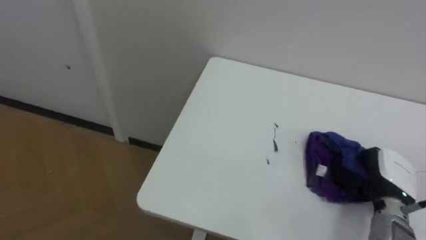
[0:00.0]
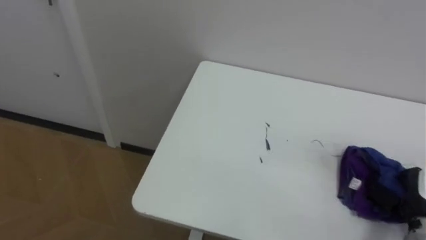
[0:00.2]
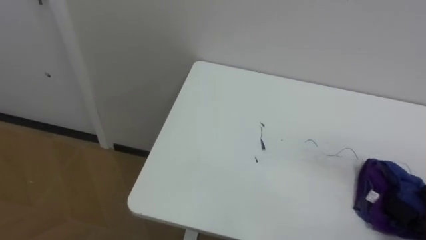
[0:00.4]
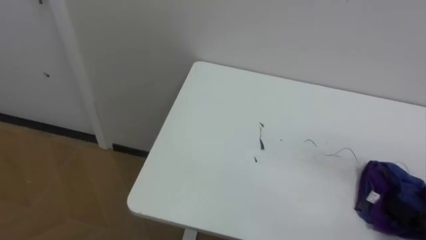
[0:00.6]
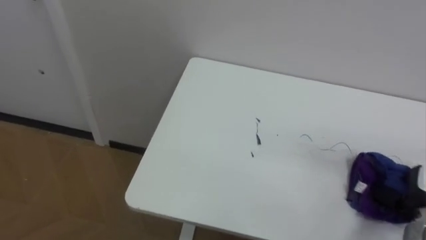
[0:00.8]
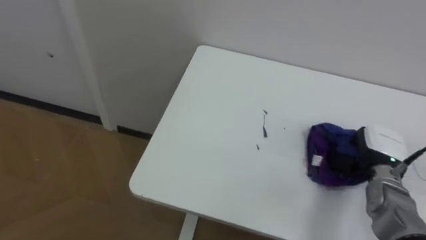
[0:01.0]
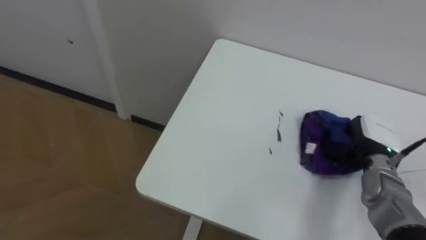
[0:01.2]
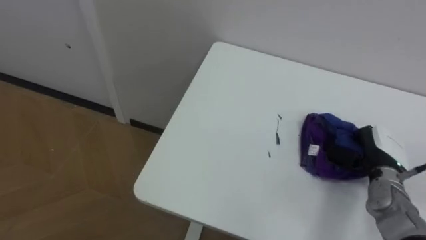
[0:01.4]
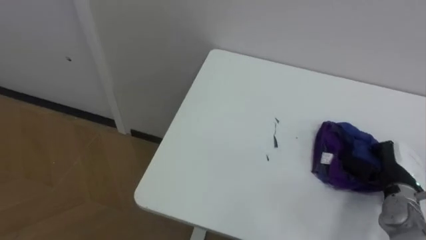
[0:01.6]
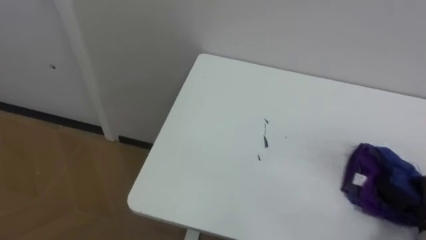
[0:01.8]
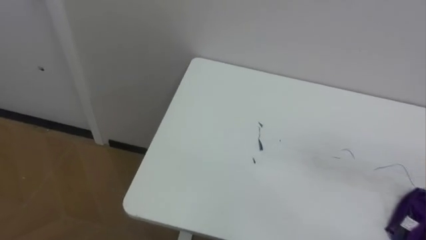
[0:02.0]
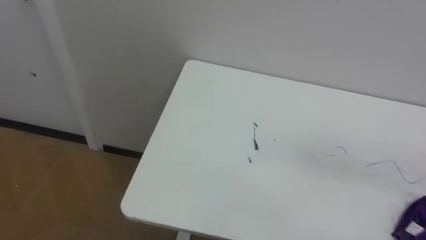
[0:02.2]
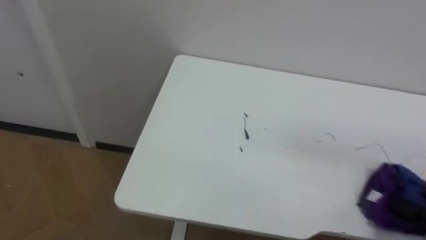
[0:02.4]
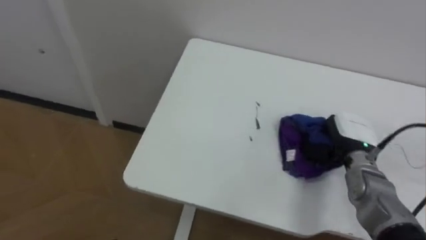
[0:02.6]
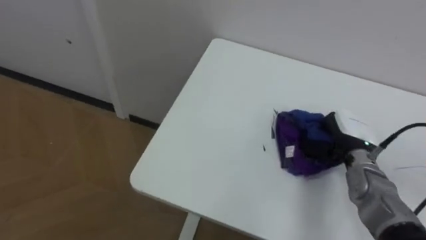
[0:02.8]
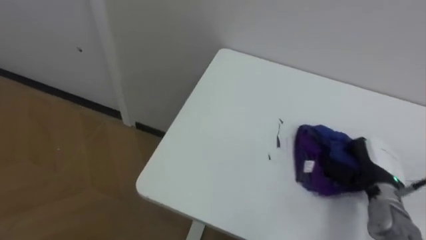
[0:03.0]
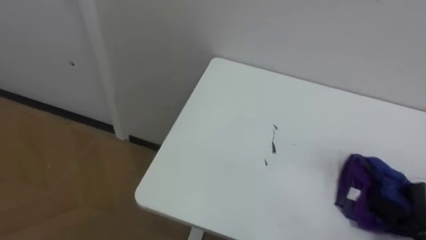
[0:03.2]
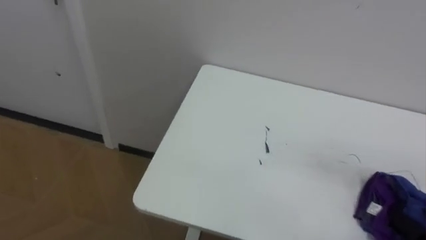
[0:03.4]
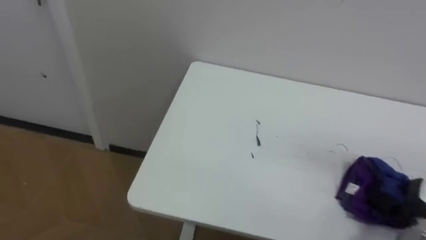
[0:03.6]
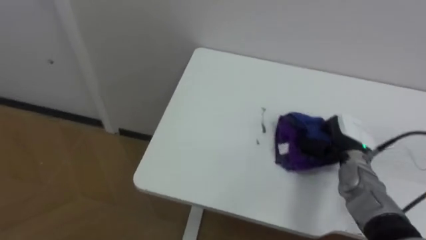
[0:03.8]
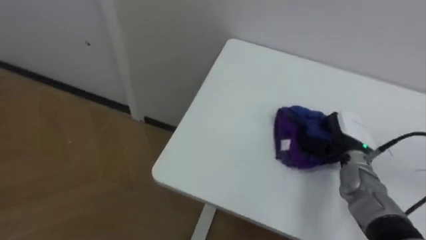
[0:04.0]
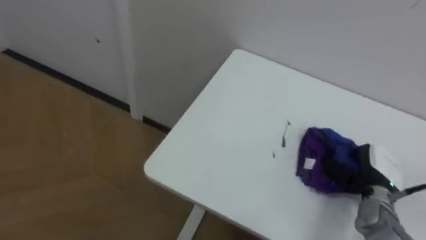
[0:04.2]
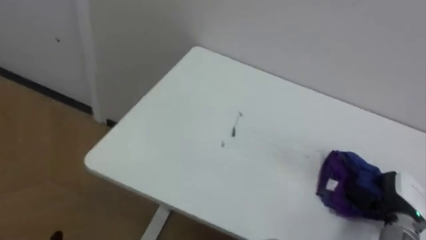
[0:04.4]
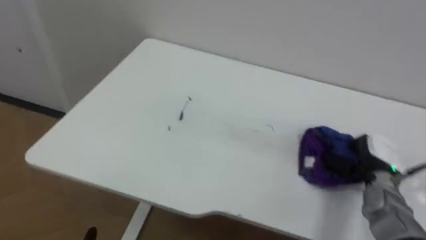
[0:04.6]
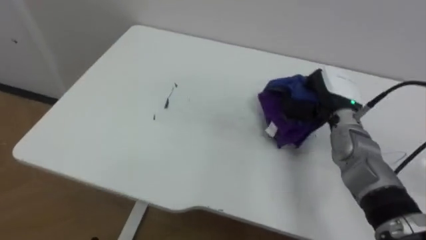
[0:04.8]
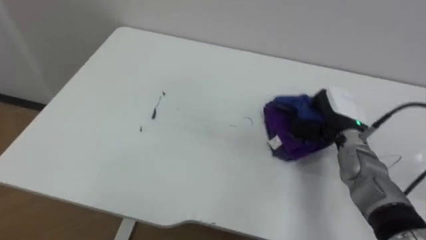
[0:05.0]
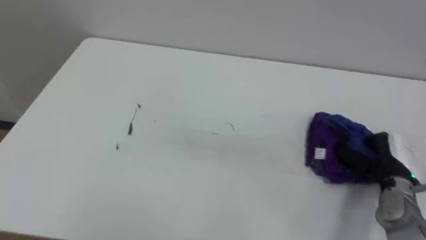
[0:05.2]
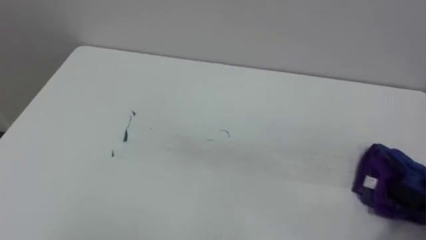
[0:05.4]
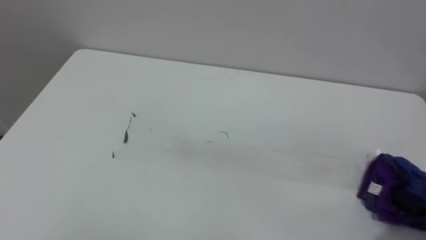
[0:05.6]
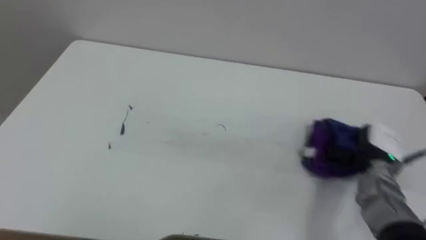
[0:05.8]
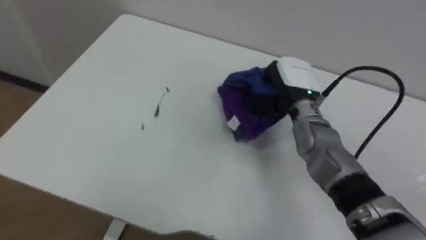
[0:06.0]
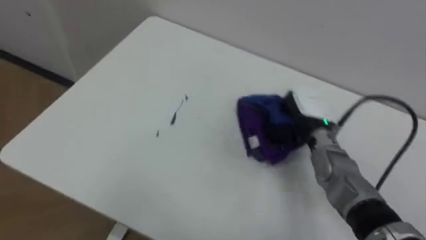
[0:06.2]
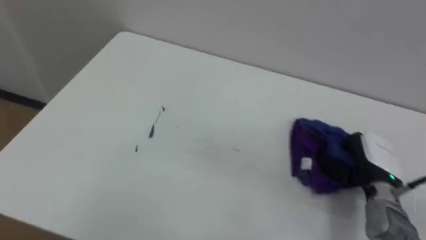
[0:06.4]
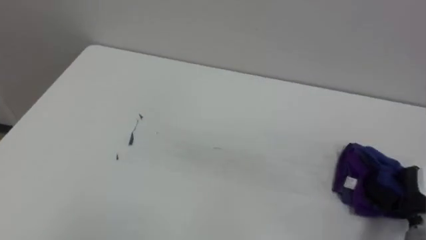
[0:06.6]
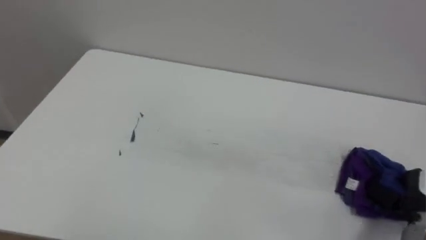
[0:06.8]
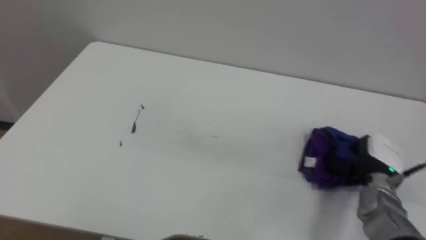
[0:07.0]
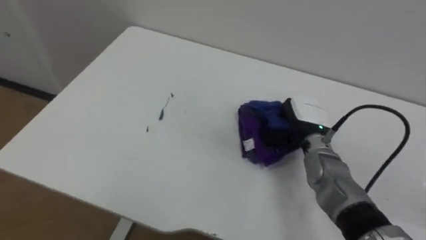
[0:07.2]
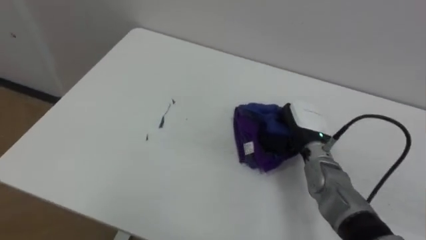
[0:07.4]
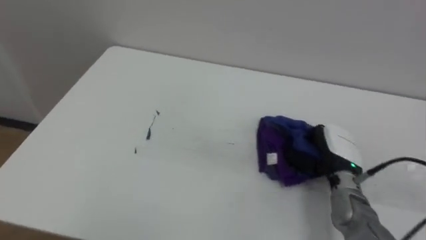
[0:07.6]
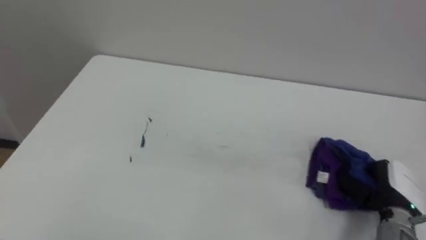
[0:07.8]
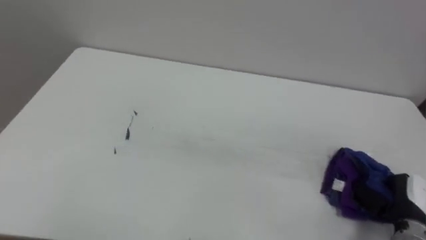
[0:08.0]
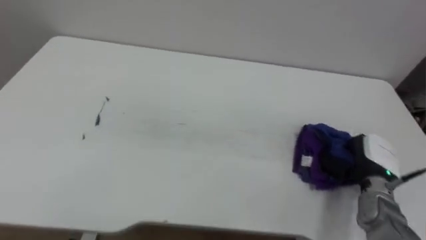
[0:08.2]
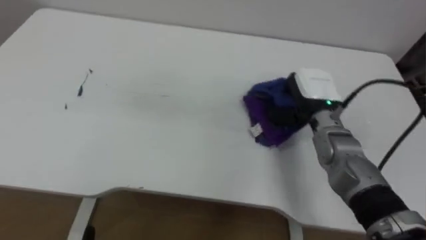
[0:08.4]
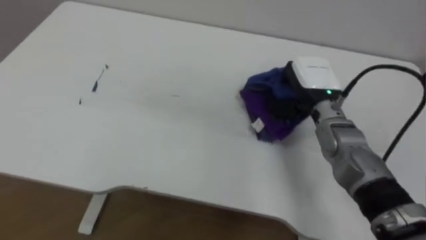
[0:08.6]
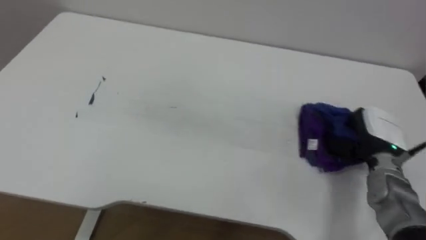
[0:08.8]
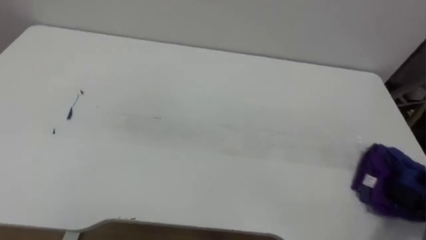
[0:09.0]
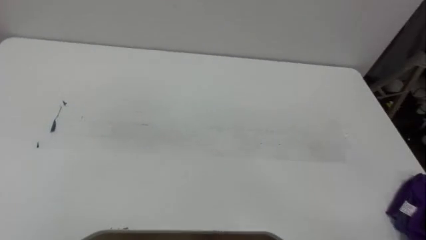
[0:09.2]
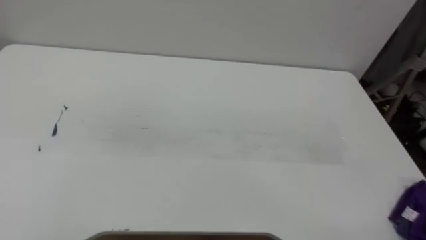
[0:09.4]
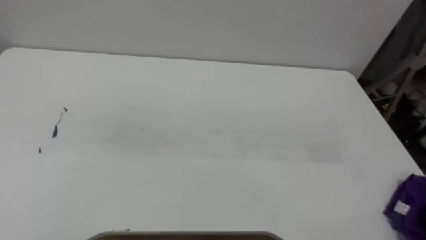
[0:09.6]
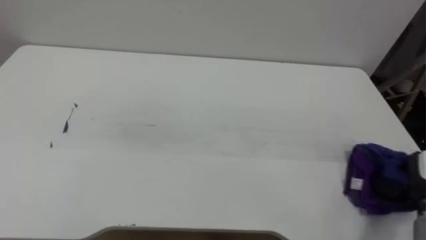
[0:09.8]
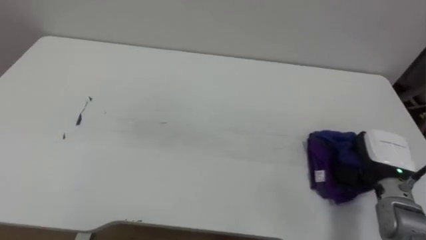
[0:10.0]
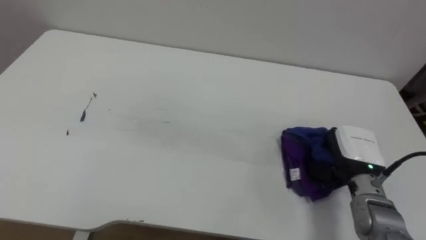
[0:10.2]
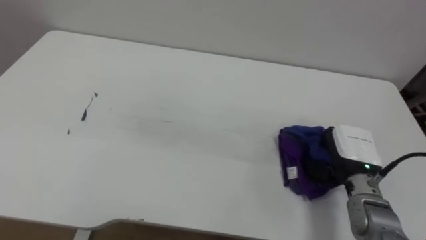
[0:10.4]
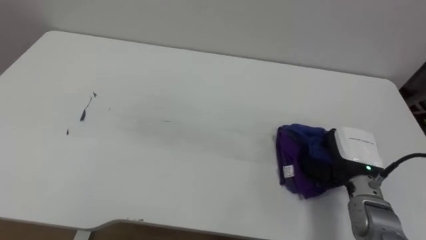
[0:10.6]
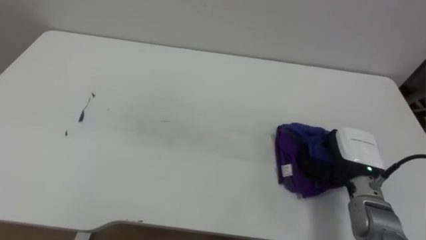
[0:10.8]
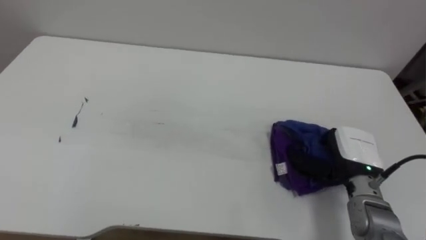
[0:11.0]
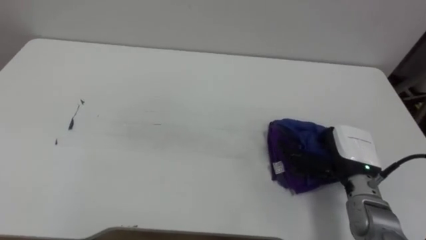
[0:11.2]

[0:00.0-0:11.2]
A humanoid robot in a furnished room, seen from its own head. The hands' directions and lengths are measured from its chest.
Task of the whole recording: Wipe the blue pen marks off the table with the rag.
0:06.4 to 0:08.0: The right hand goes left and right, roughly 20 cm each way, reversing 2 times.

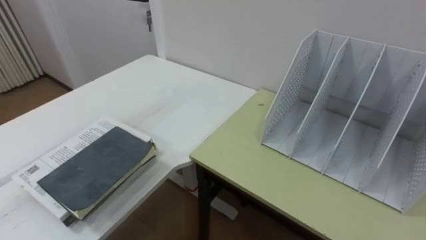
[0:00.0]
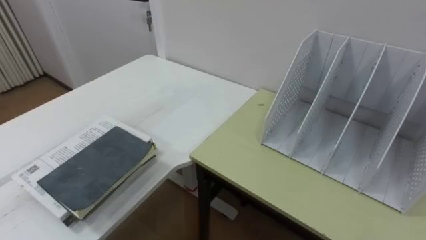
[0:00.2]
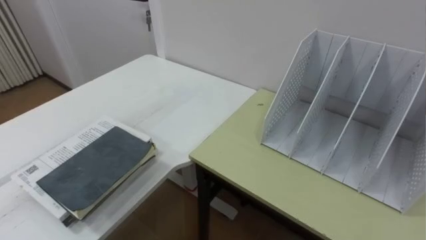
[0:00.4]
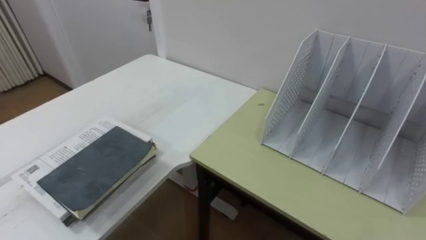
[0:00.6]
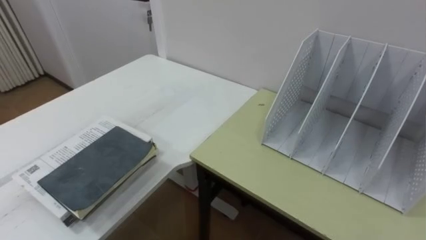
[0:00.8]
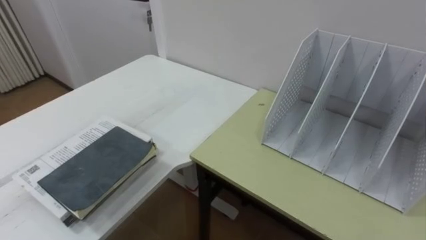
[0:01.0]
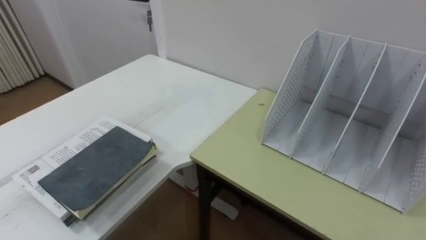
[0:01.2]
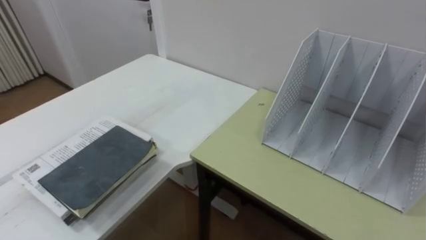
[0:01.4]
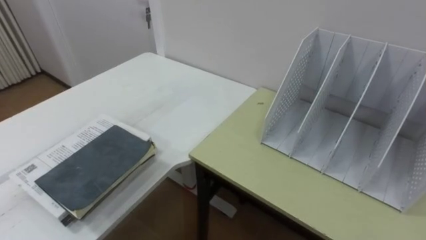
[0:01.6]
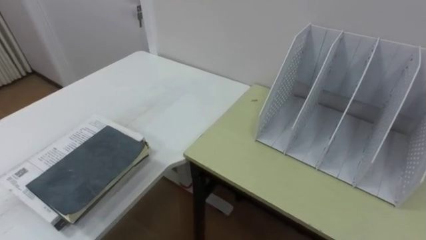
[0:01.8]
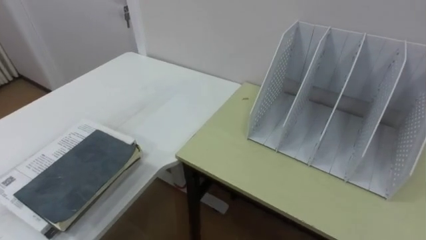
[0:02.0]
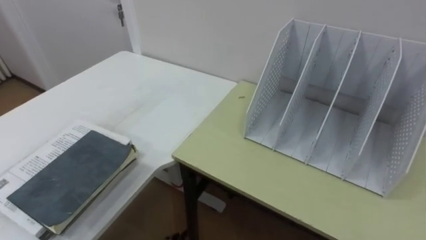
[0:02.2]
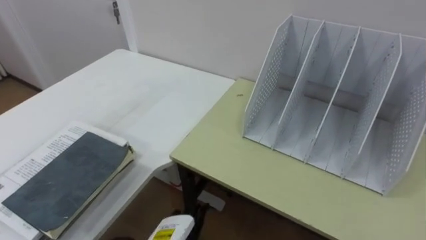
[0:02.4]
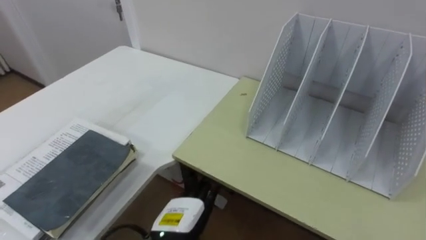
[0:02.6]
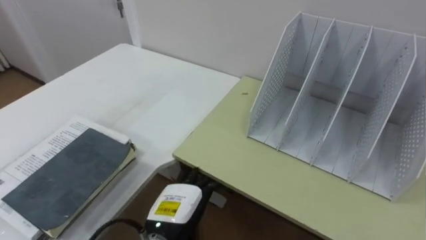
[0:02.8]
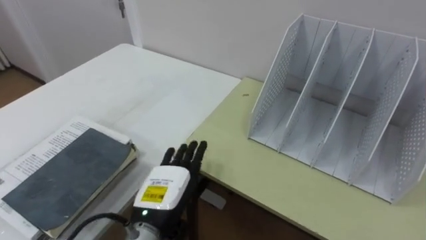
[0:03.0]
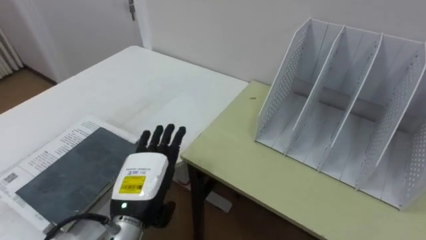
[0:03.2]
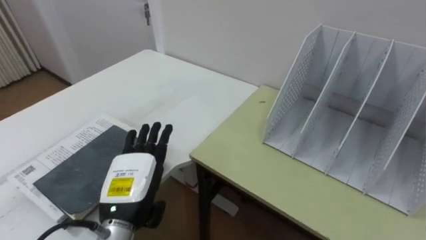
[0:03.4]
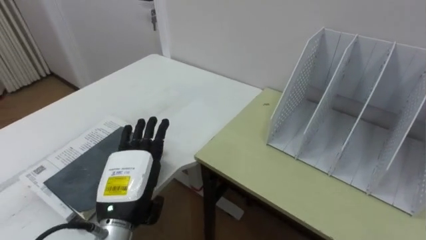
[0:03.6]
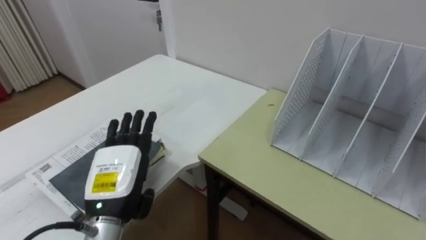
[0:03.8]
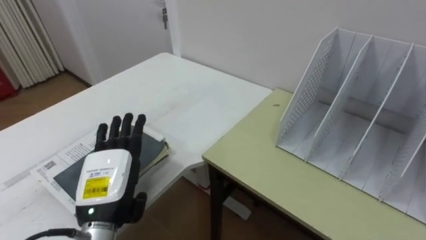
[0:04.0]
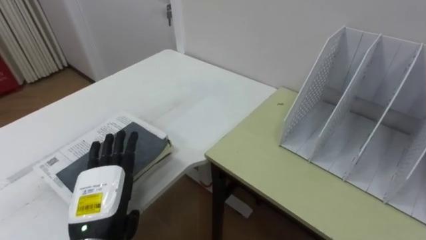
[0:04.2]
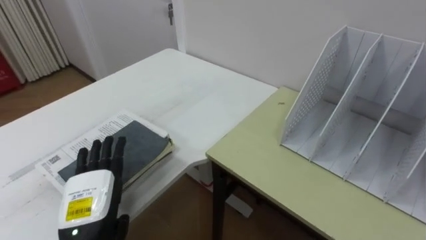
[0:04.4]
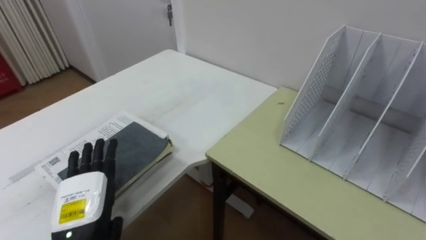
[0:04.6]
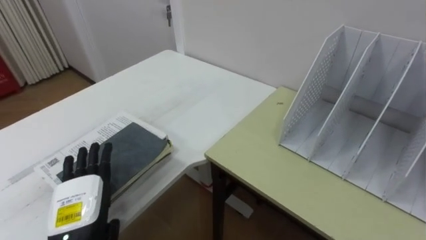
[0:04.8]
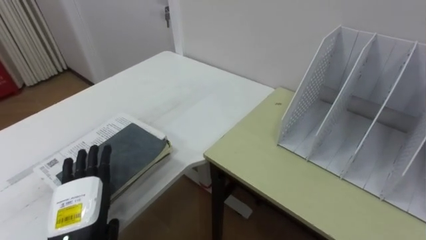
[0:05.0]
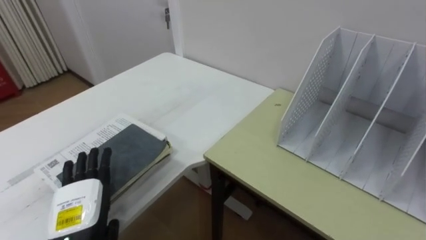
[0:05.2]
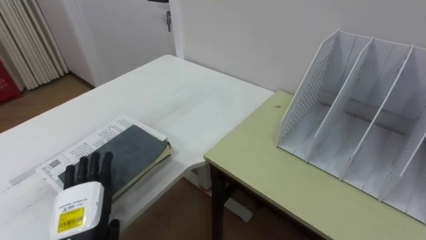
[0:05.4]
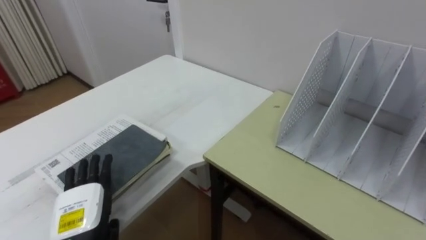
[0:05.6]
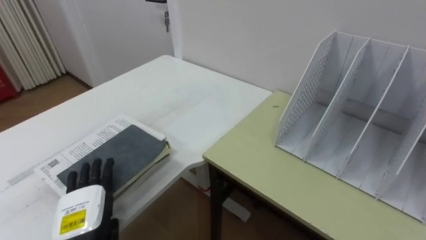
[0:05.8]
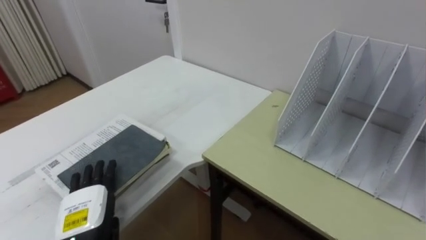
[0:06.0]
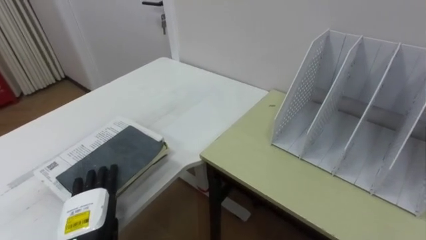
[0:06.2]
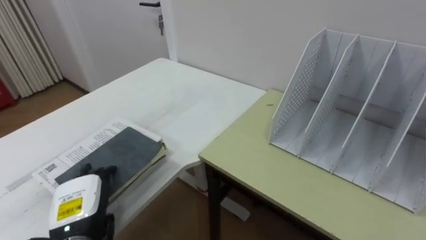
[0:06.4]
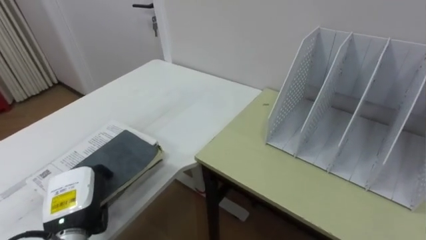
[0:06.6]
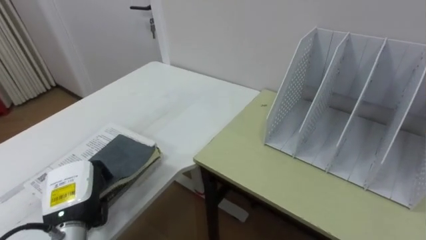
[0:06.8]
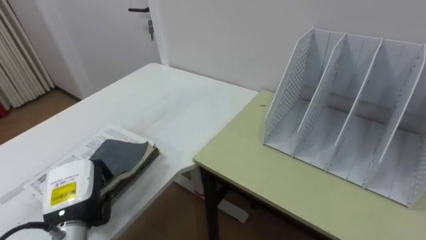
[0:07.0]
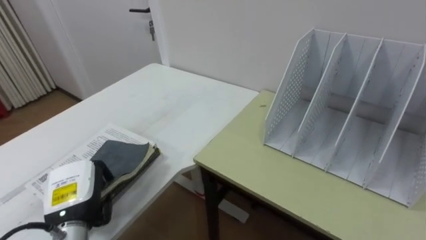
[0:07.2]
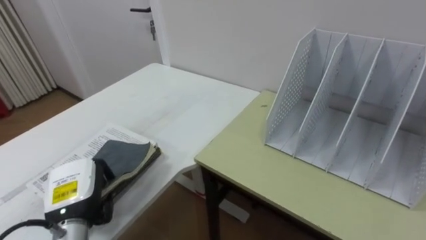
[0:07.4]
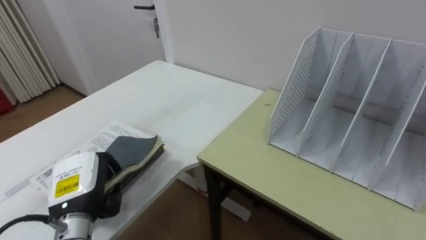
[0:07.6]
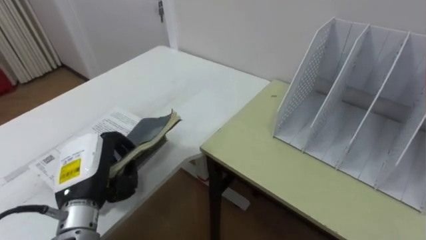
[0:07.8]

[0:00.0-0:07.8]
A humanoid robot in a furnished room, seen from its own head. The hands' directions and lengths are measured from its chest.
Task of the whole recording: Put the books on the table onto the bookshelf.
0:03.2 to 0:04.6: The left hand shifts about 10 cm to the left.
0:06.2 to 0:07.8: The left hand shifts about 10 cm upward, and closes its fingers.
